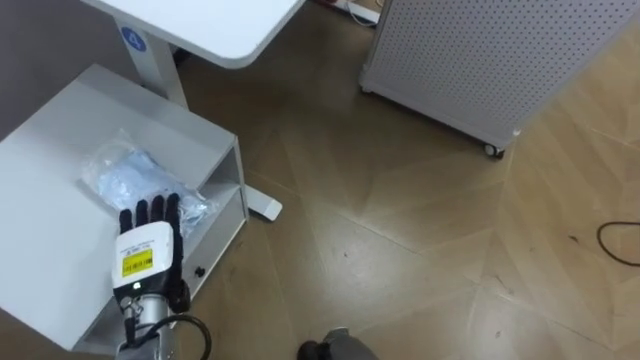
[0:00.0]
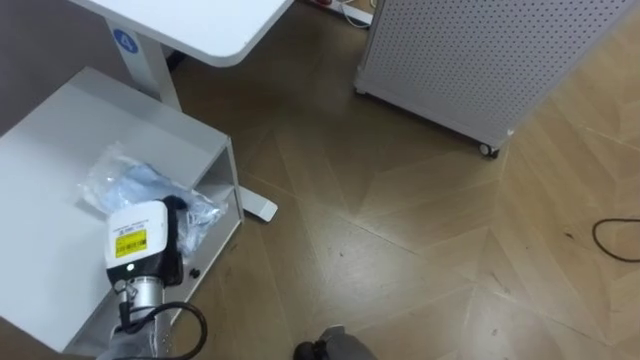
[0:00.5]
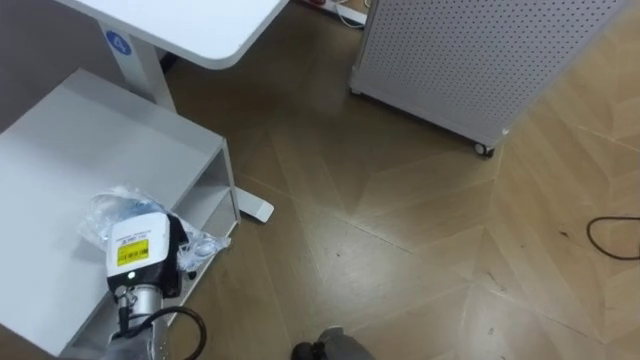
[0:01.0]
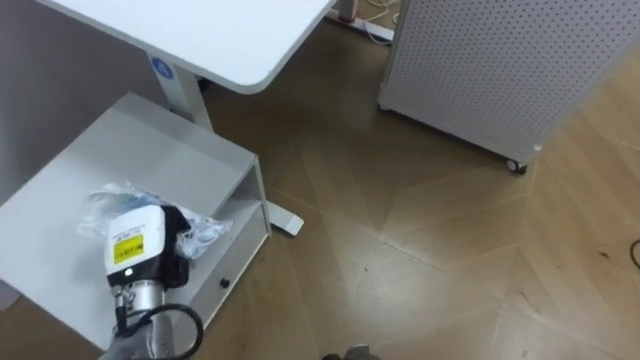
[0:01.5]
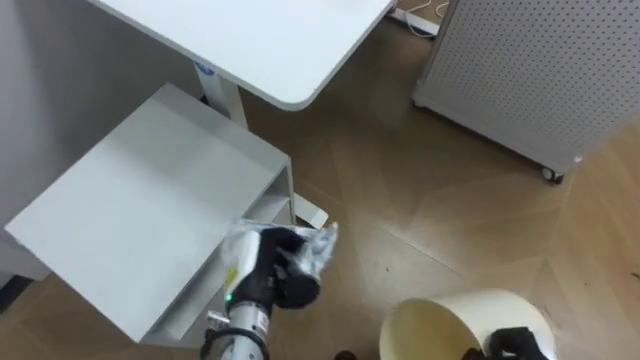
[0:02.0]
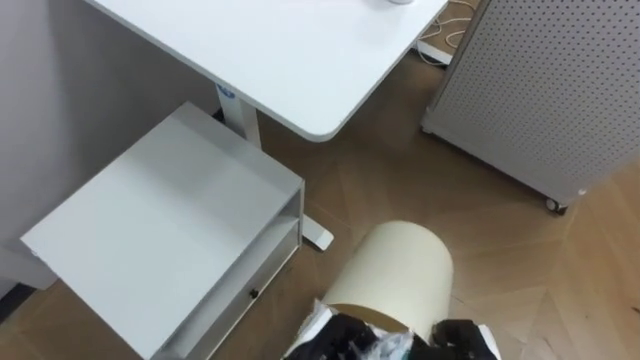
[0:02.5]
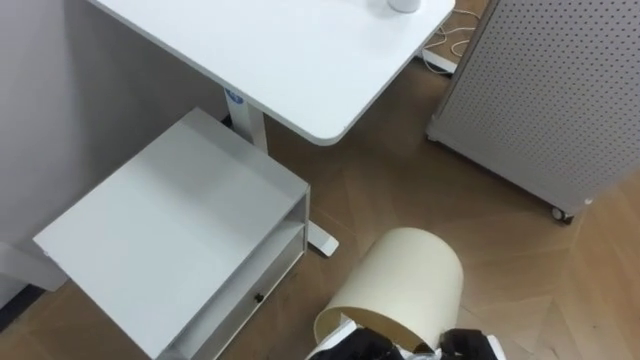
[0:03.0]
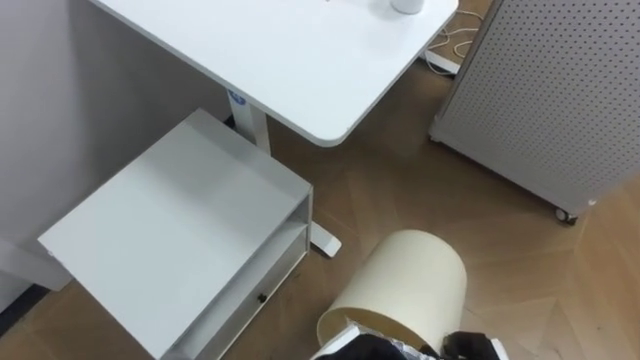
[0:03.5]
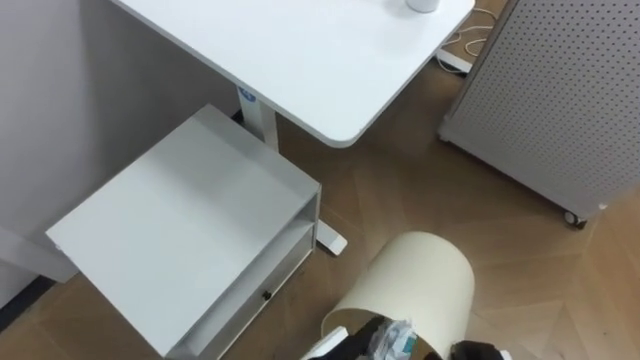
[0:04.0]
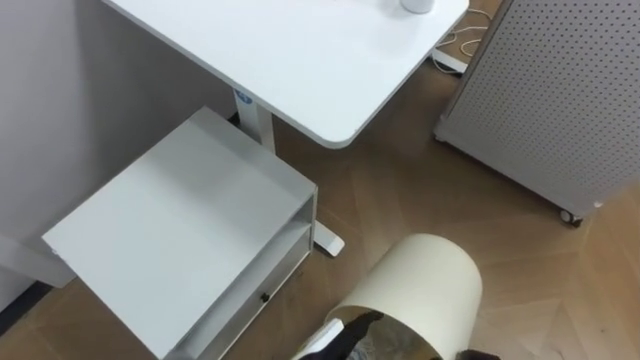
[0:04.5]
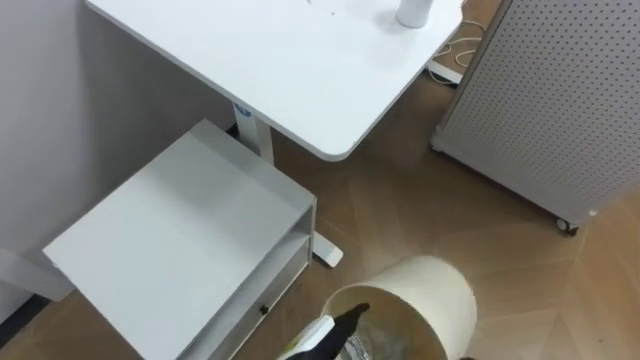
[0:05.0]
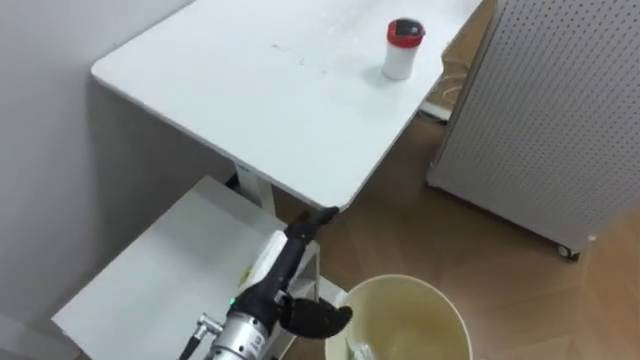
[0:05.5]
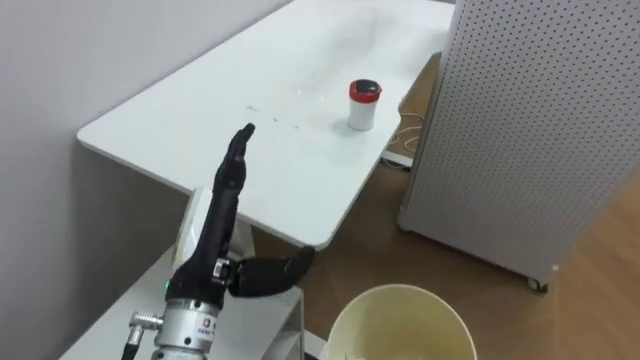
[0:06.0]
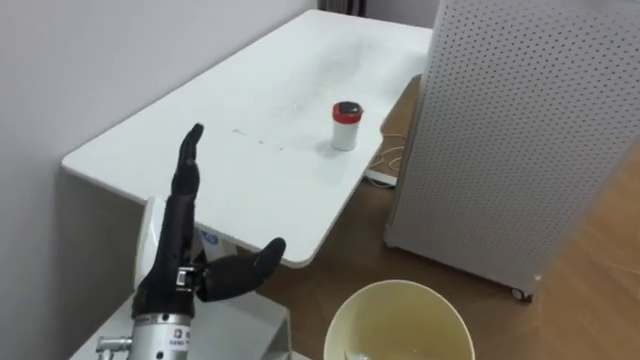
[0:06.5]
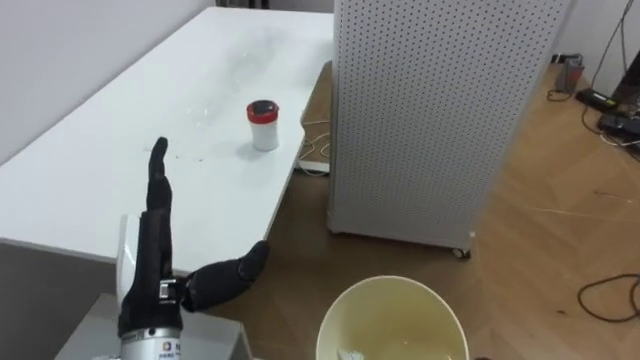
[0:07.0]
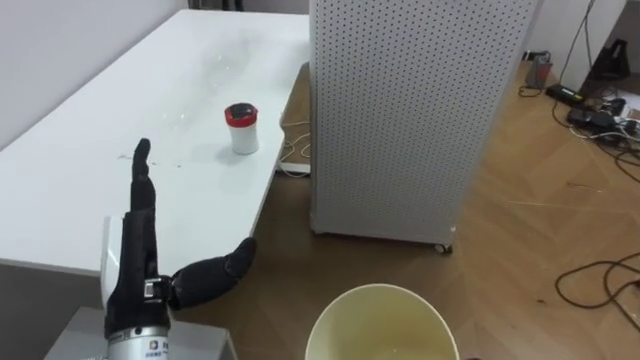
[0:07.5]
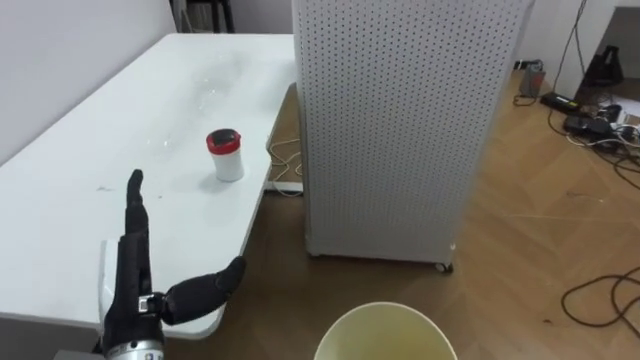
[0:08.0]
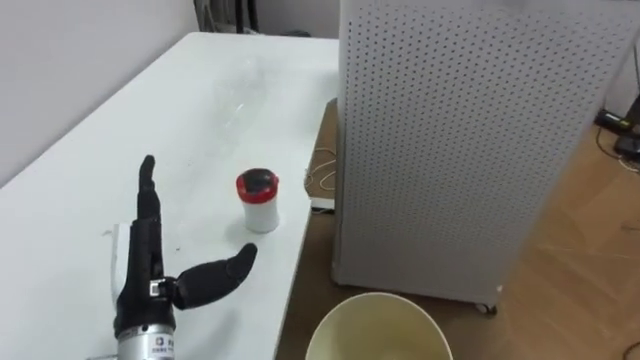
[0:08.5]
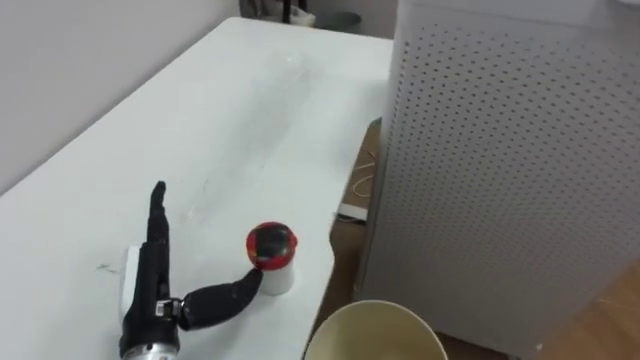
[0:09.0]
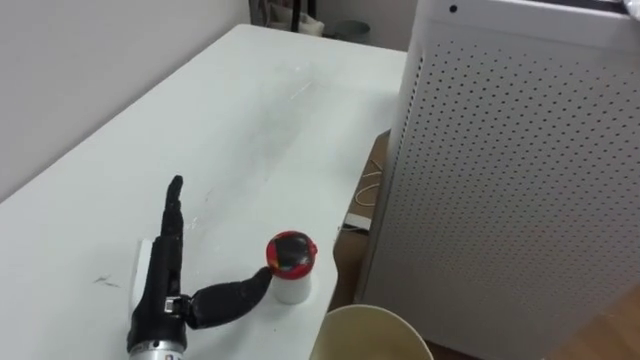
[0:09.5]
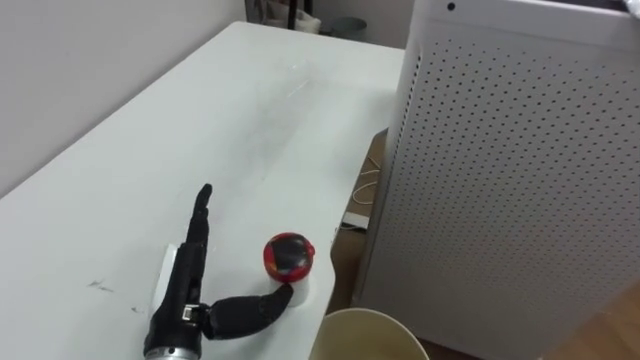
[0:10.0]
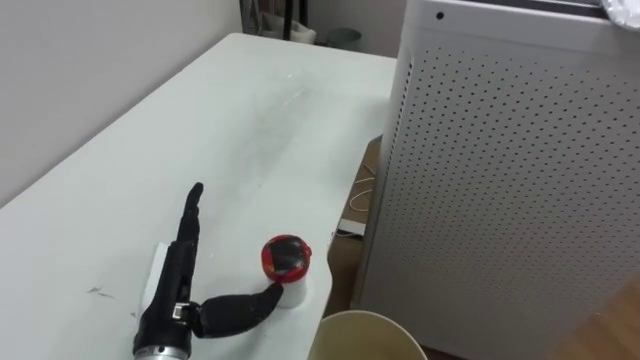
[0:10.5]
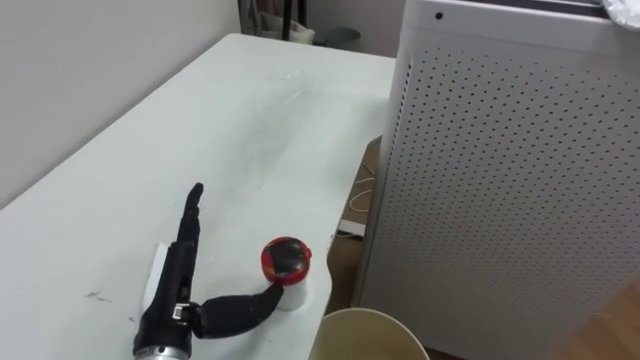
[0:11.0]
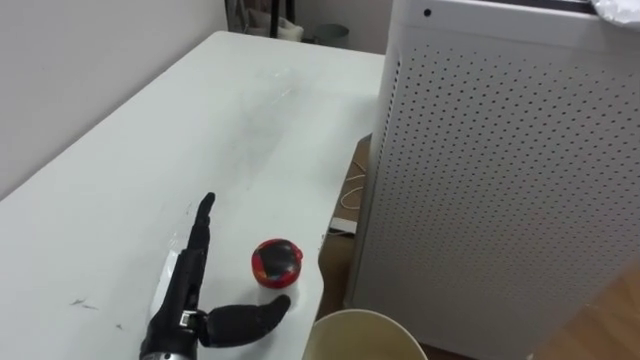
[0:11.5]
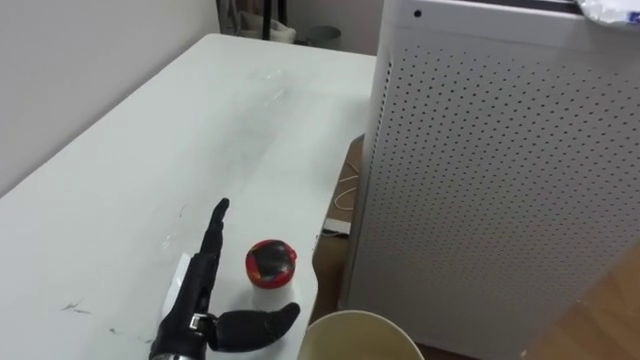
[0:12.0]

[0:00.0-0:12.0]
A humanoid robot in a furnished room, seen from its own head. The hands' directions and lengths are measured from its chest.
Task of the whole recording: Pick up the light blue package, the candy box, and the dark blue package separately, and put them into the trash can held in your right hand.
0:00.0 to 0:02.0: The left hand moves to the right, roughly 10 cm, and closes.
0:06.0 to 0:08.0: The robot rotates about 30 degrees to its right. The left hand moves to the left, about 10 cm.

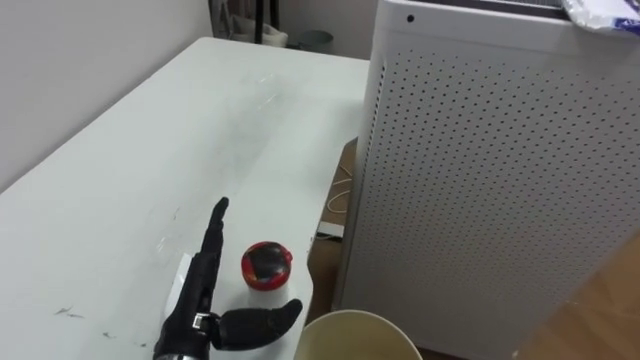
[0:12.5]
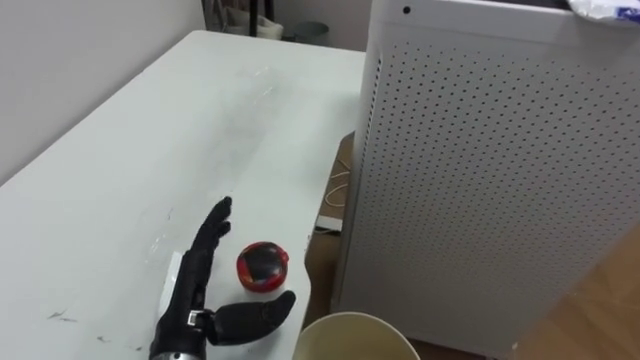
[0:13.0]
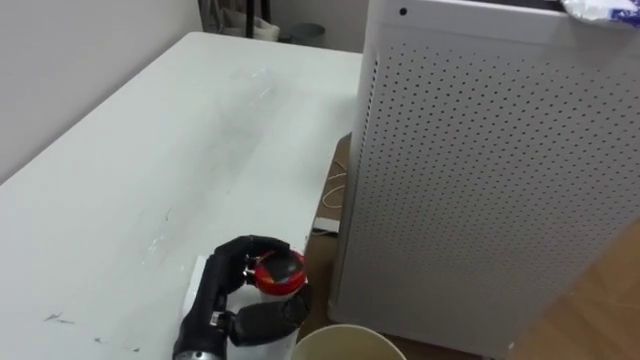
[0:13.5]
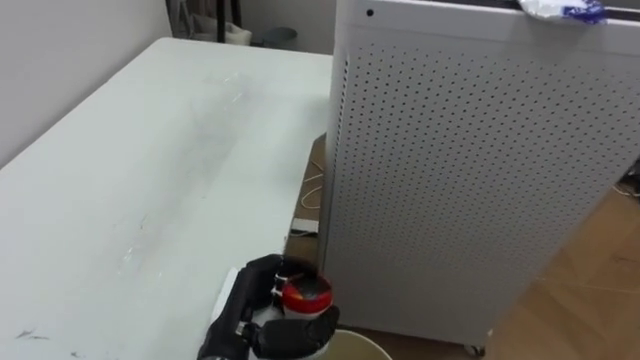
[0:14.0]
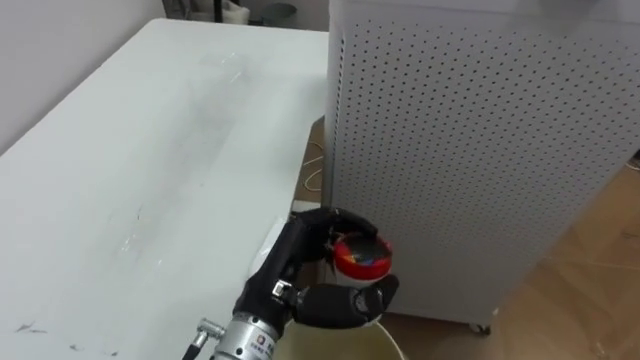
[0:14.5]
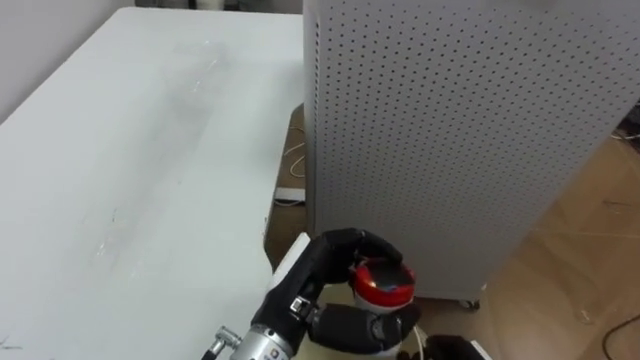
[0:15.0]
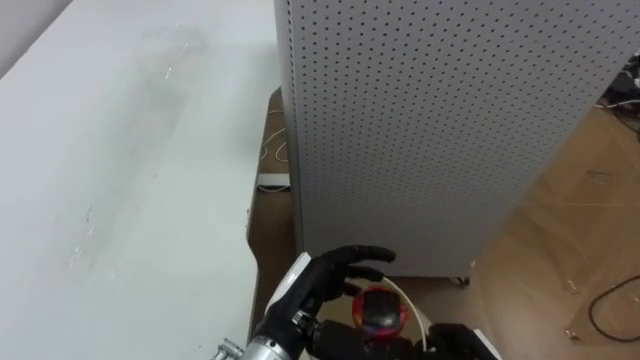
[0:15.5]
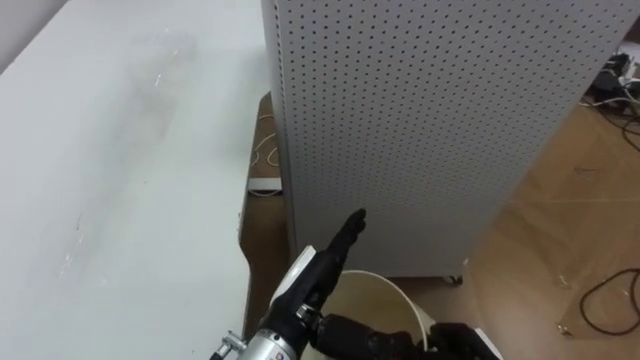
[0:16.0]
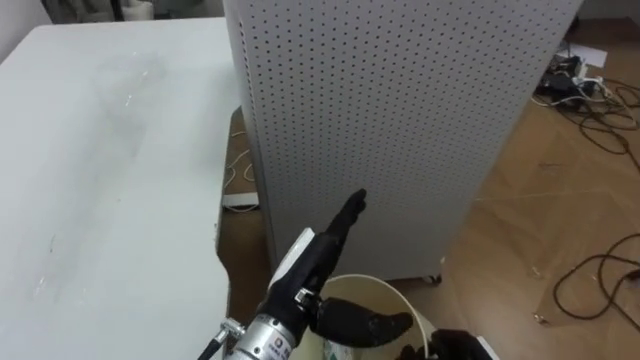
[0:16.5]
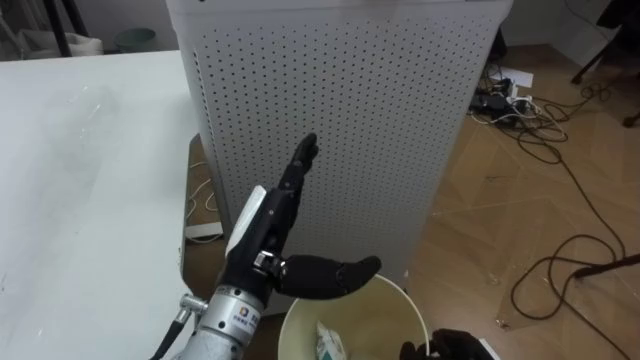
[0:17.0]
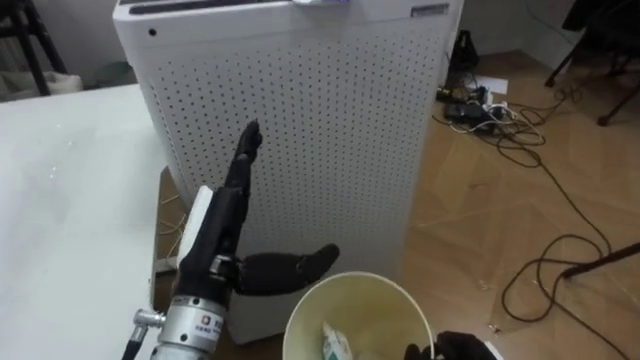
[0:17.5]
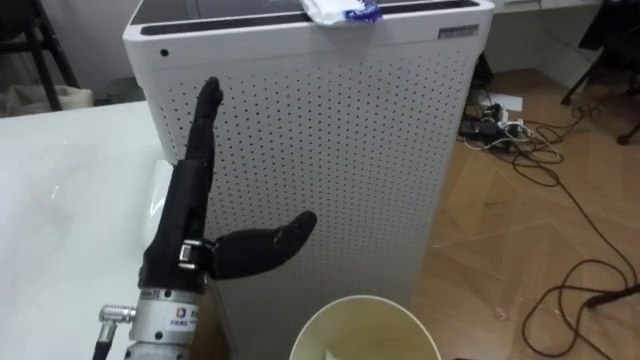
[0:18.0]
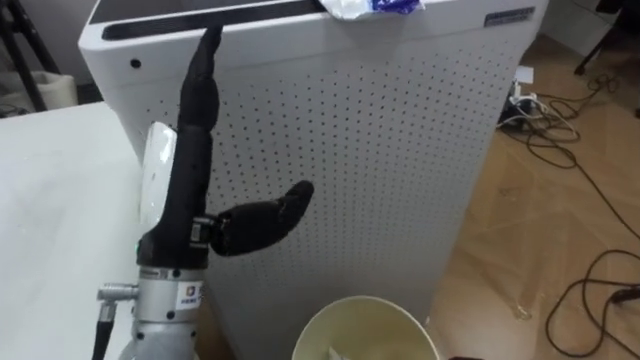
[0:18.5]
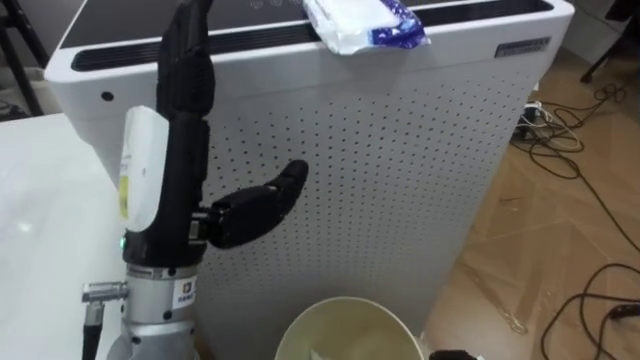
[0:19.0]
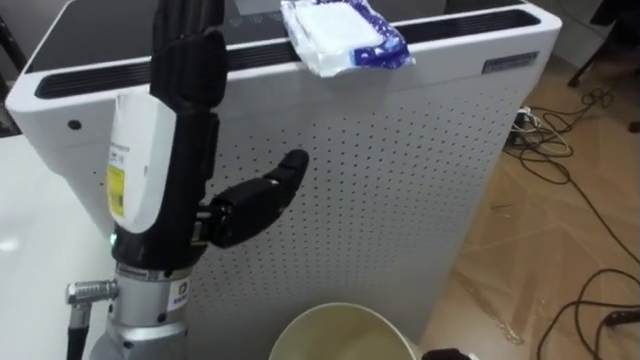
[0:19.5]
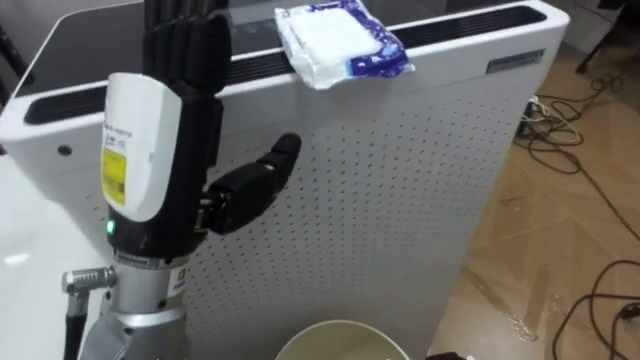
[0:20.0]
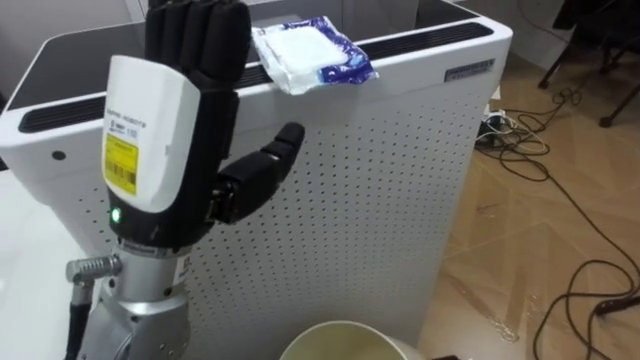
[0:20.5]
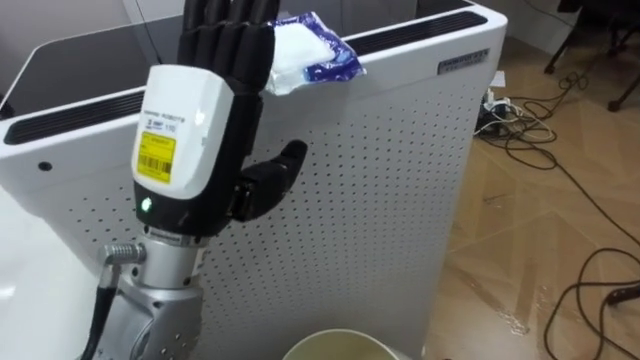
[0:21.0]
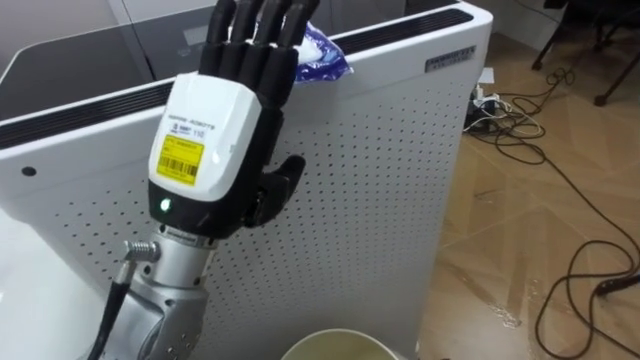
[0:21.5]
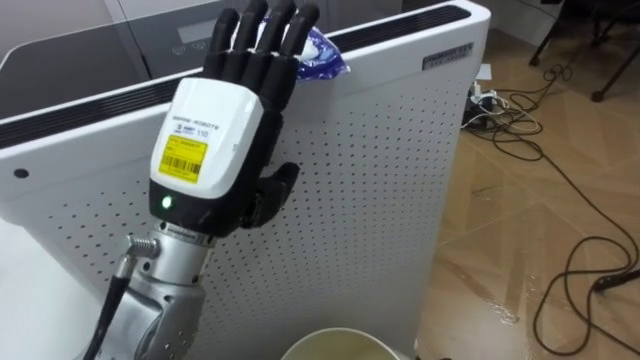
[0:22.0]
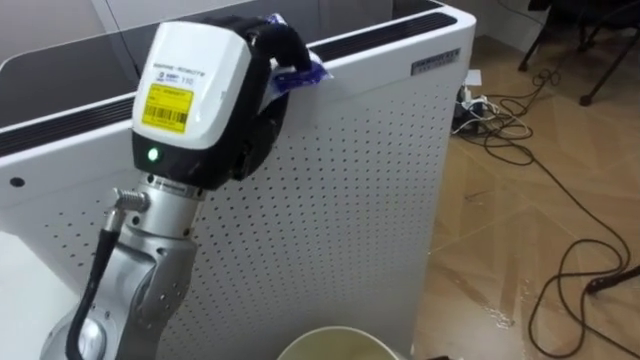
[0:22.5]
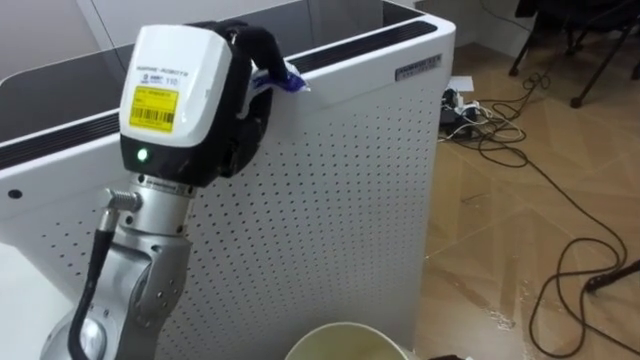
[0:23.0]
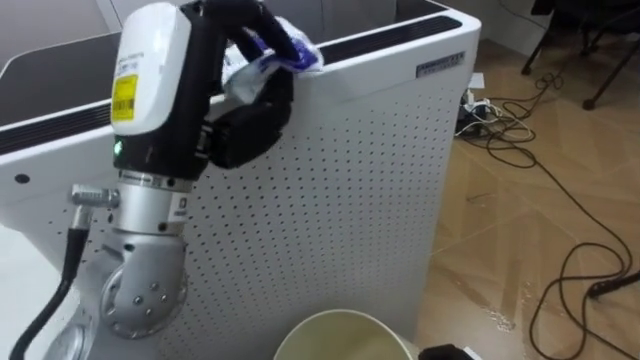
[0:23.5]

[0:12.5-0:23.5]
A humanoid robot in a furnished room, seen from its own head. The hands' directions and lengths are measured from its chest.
Task of the whole recording: Pick up the light blue package, the candy box, and the dark blue package separately, and put them into the trash can held in your right hand.
0:12.5 to 0:14.5: The left hand moves to the right, some 10 cm, and closes its fingers.
0:14.5 to 0:16.0: The left hand opens.
0:16.0 to 0:18.0: The left hand shifts approximately 15 cm upward and to the left.
0:18.0 to 0:20.0: The left hand is displaced upward by some 10 cm.
0:21.5 to 0:23.5: The left hand closes.
